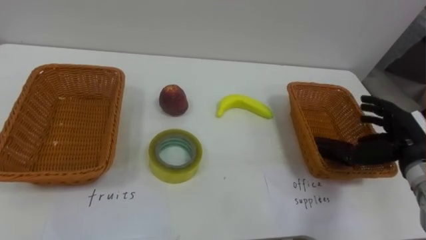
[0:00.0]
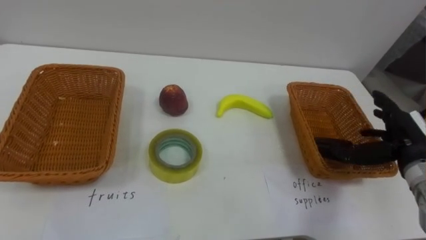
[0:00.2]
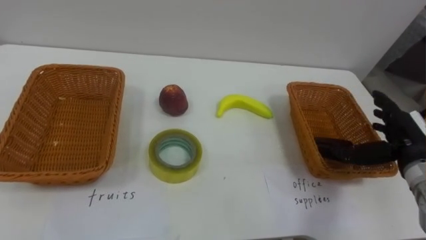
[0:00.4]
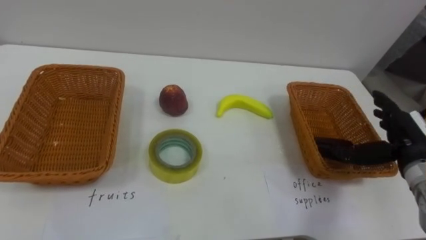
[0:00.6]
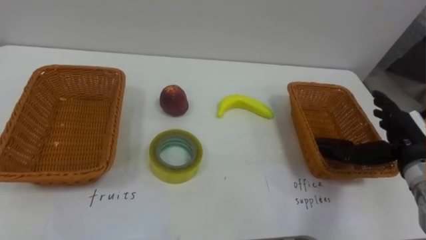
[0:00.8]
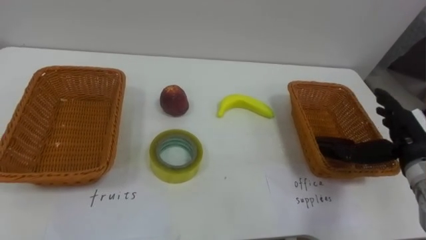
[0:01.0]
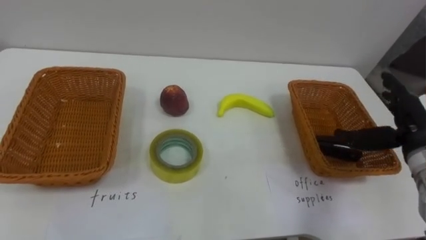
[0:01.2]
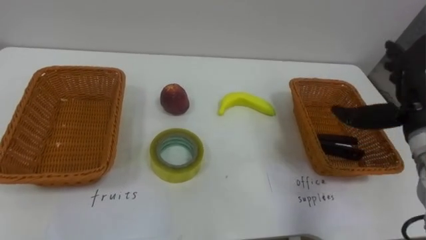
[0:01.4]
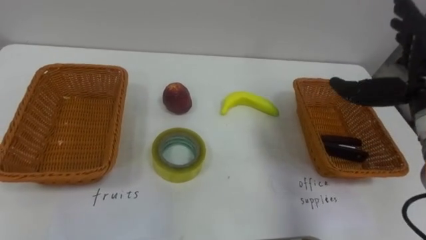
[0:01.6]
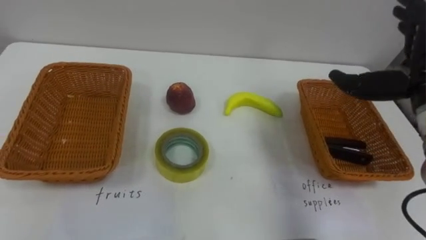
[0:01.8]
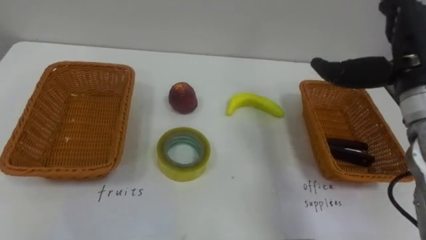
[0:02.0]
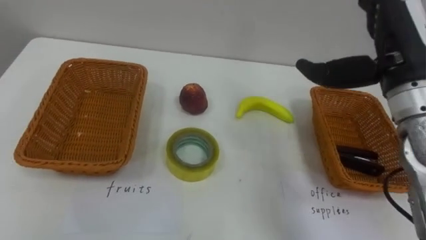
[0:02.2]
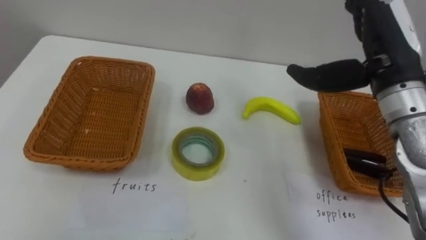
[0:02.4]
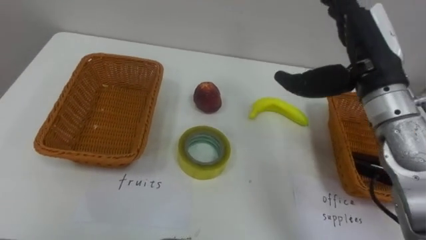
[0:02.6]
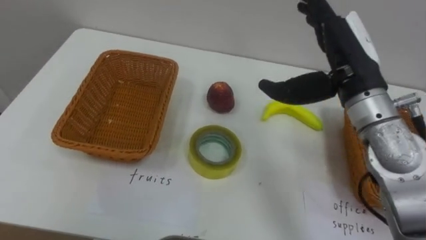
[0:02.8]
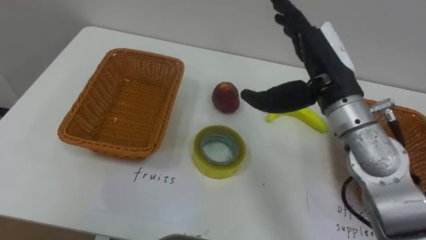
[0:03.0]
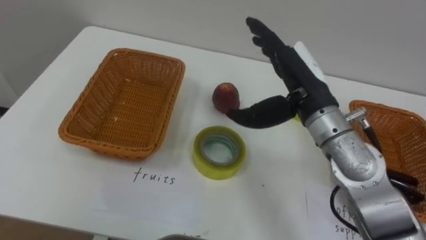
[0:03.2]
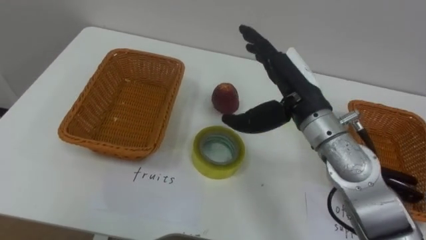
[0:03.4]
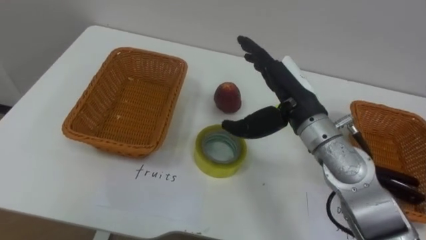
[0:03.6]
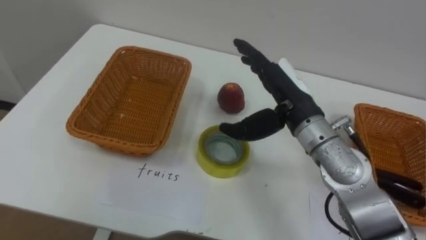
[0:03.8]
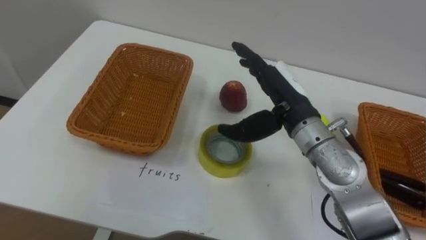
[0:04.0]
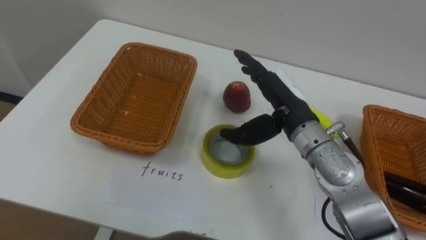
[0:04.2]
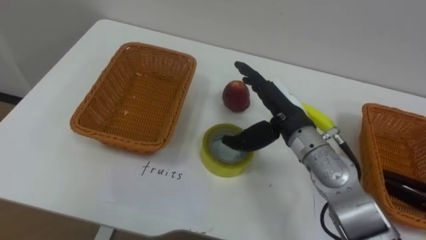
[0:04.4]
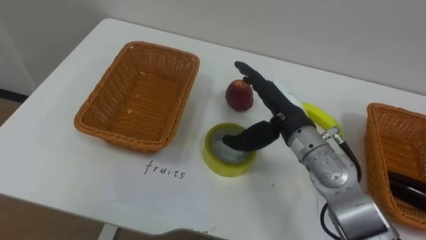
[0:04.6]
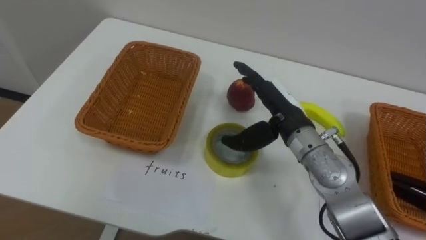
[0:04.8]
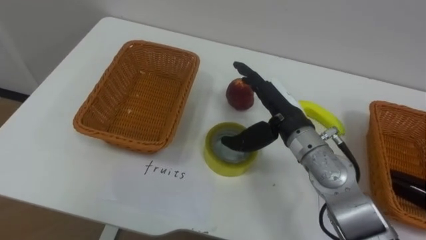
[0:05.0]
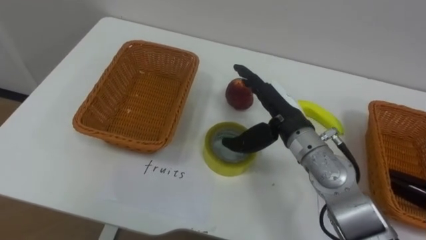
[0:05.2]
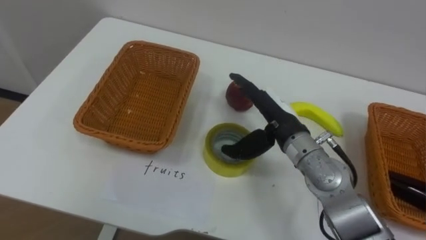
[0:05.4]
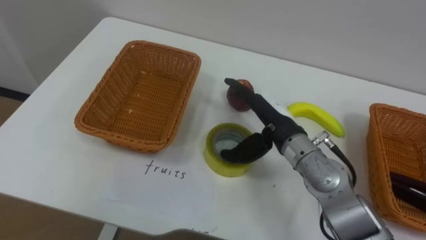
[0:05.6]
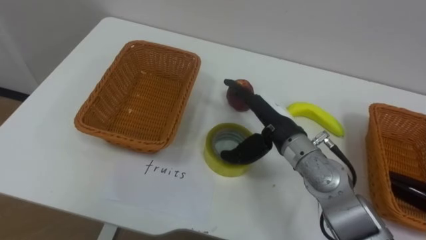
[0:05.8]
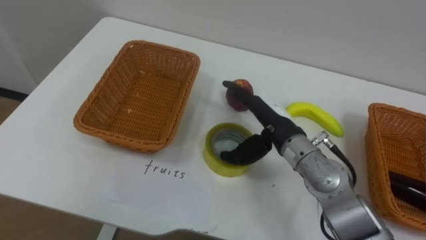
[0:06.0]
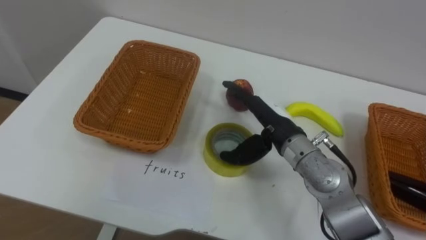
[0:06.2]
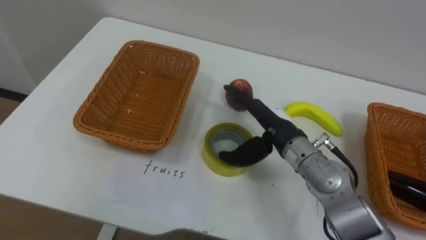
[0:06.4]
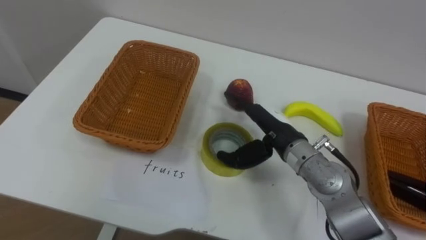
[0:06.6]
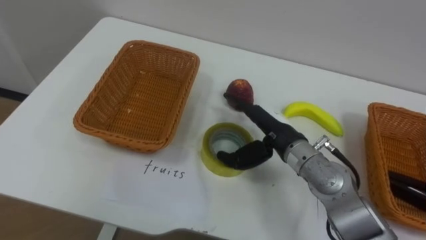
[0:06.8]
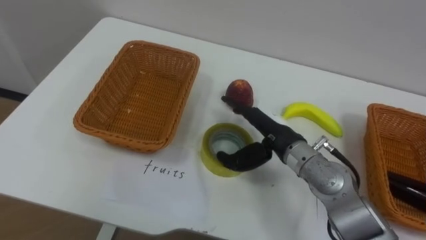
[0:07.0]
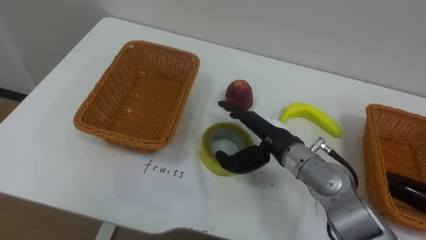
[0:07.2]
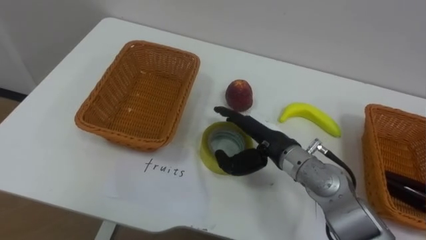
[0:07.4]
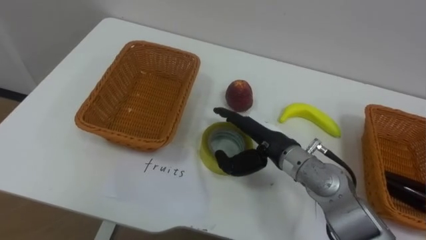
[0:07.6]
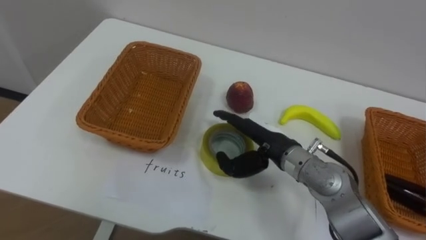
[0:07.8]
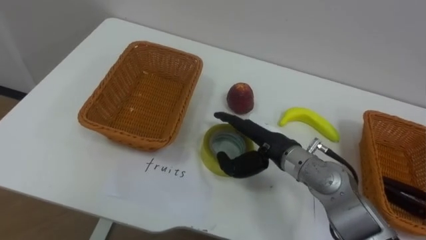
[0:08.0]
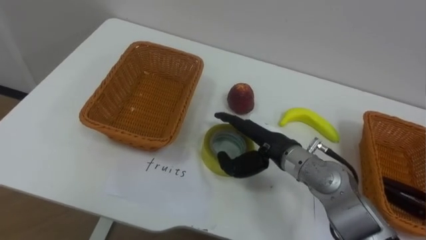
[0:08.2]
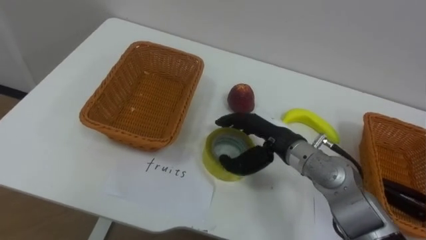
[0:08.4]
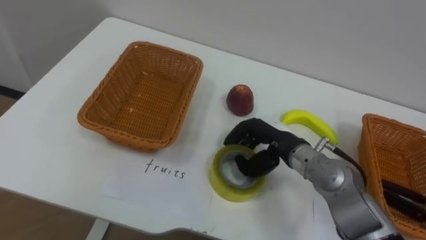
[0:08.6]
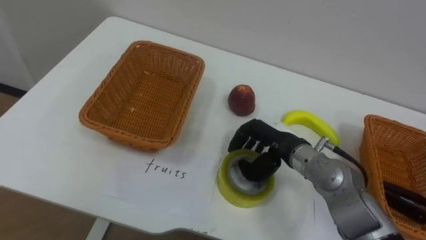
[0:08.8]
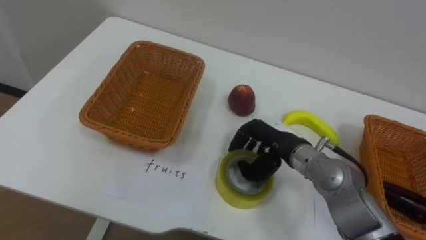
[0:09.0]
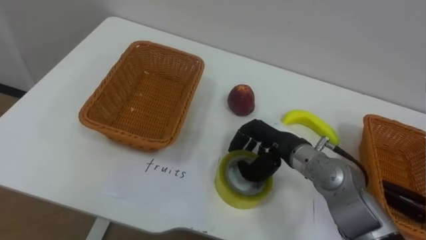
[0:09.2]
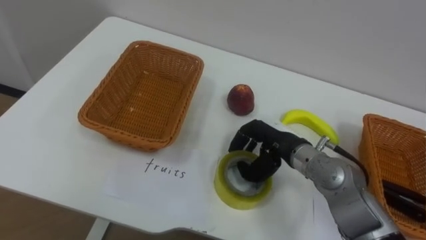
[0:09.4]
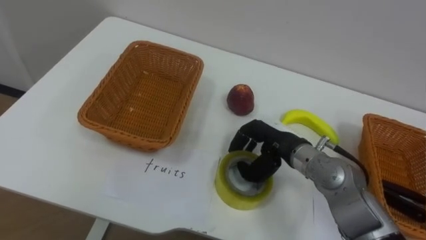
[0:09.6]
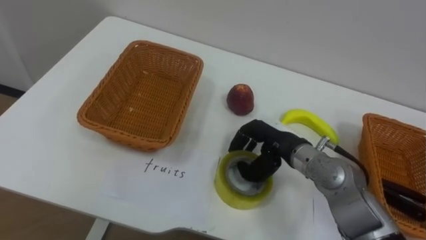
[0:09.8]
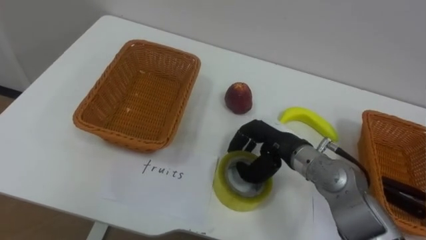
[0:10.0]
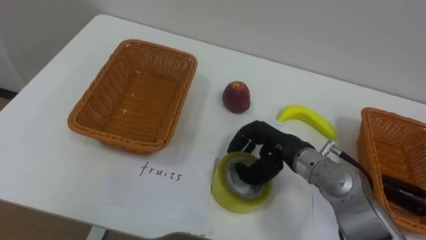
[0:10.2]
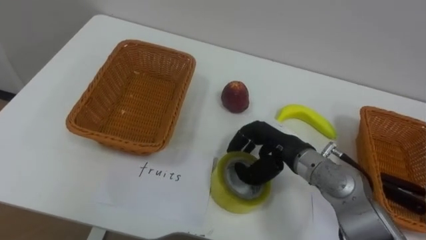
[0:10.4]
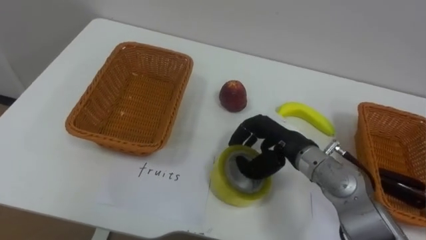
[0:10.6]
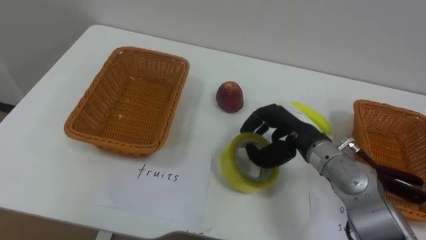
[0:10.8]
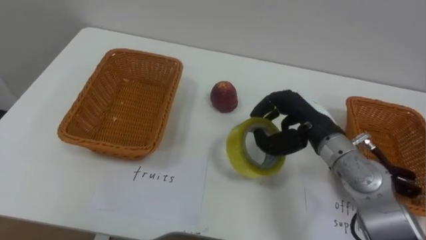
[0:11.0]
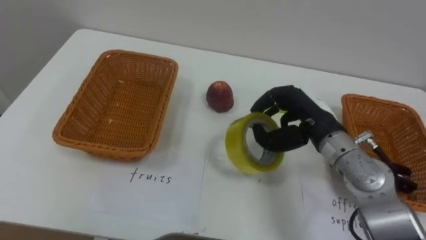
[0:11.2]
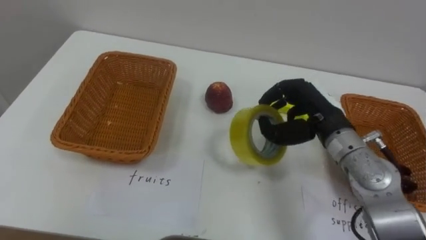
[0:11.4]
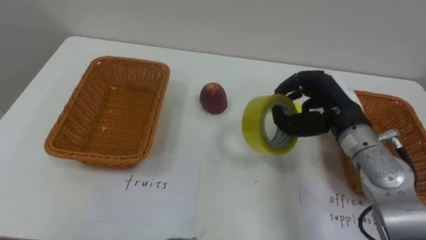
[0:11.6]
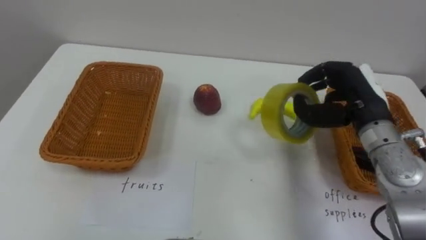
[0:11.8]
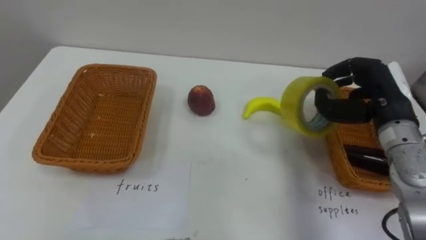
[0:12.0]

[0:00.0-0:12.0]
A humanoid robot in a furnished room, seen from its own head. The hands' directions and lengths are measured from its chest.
Task of the whole recording: Separate the items on the table and place them into the two baskets.
0:00.0 to 0:01.6: The right hand travels upward by about 10 cm.
0:01.6 to 0:03.0: The right hand shifts about 15 cm to the left.
0:03.0 to 0:04.4: The right hand travels downward by roughly 10 cm.
0:07.6 to 0:09.0: The right hand closes up.
0:10.4 to 0:12.0: The right hand is displaced to the right and upward by roughly 15 cm.

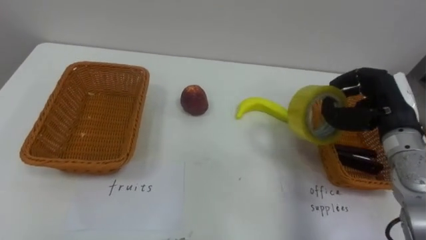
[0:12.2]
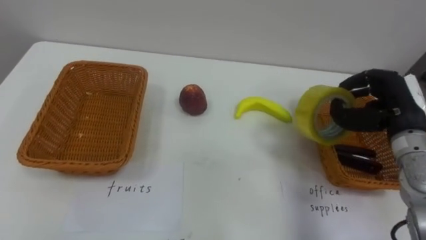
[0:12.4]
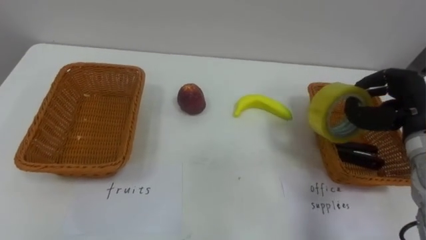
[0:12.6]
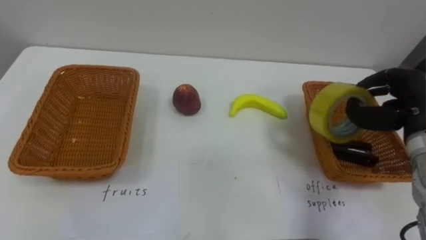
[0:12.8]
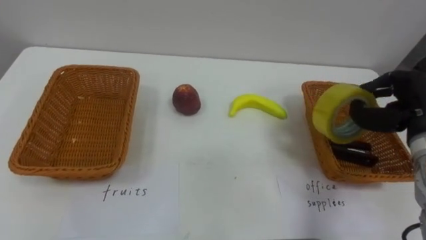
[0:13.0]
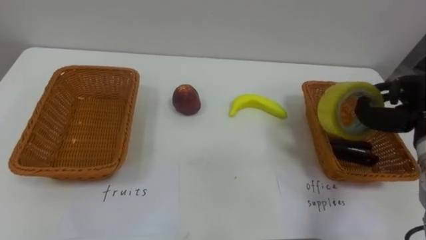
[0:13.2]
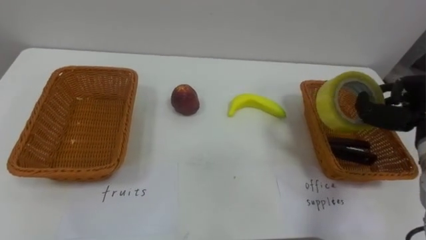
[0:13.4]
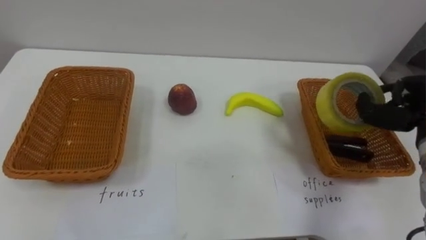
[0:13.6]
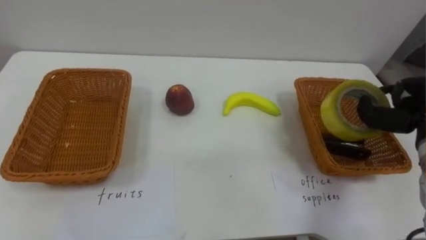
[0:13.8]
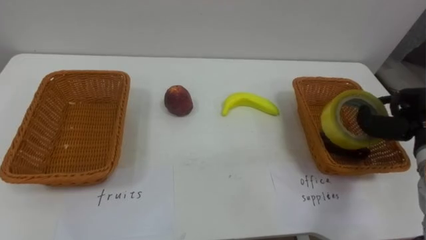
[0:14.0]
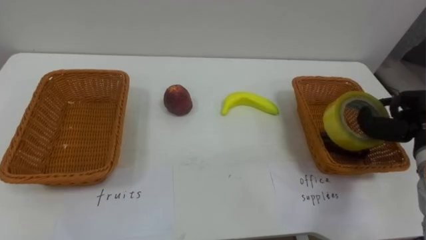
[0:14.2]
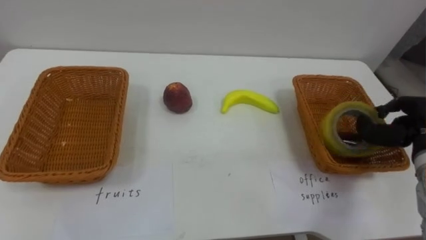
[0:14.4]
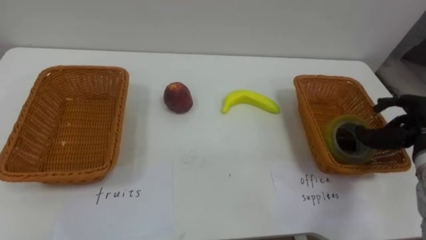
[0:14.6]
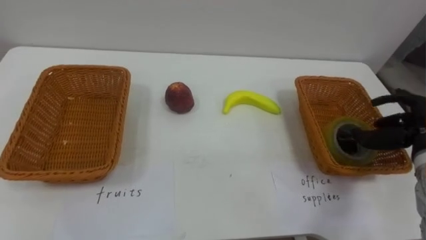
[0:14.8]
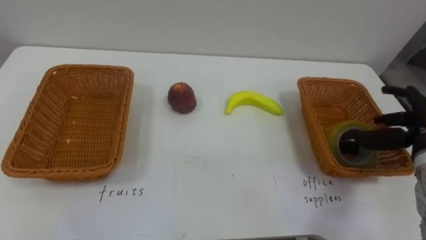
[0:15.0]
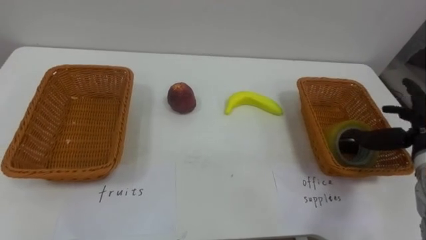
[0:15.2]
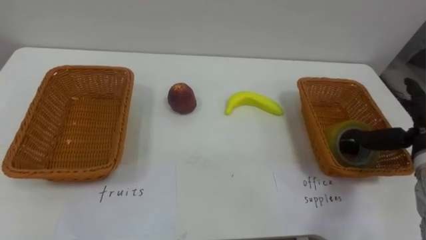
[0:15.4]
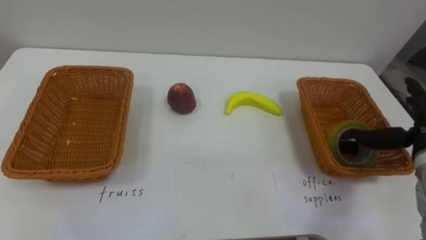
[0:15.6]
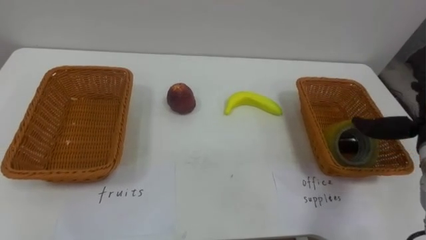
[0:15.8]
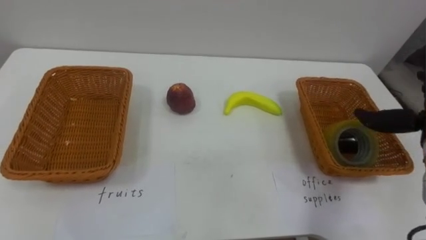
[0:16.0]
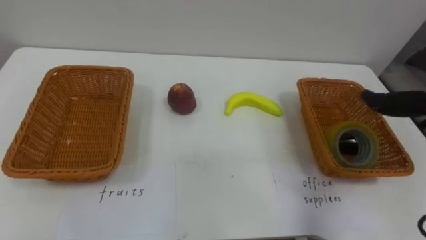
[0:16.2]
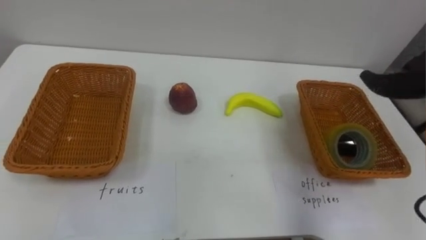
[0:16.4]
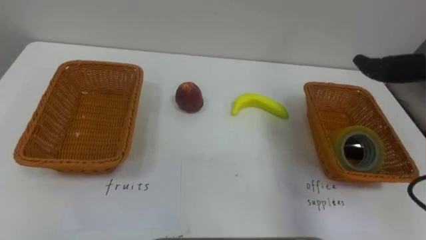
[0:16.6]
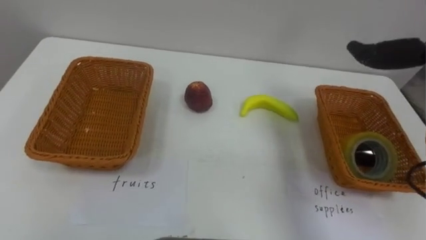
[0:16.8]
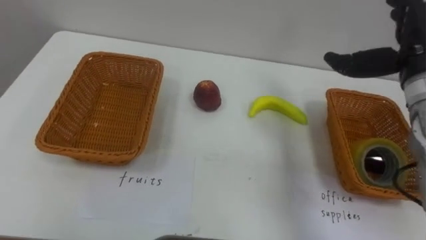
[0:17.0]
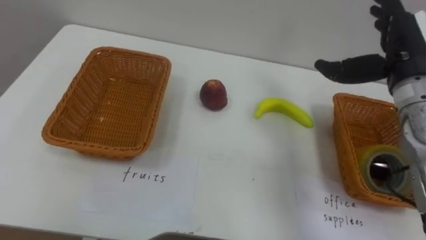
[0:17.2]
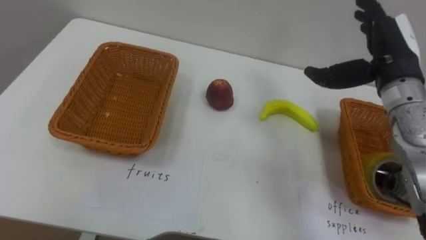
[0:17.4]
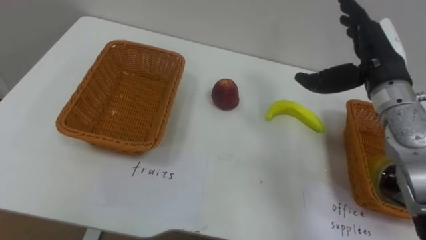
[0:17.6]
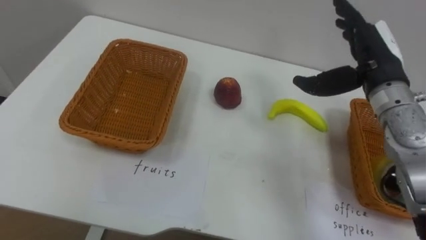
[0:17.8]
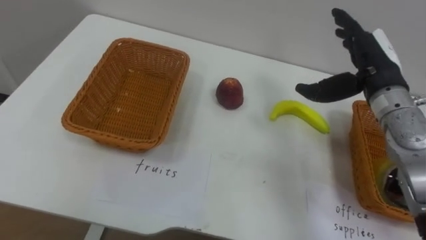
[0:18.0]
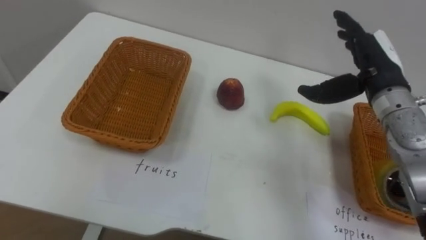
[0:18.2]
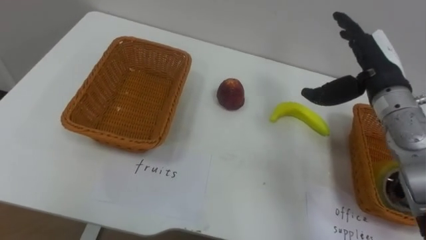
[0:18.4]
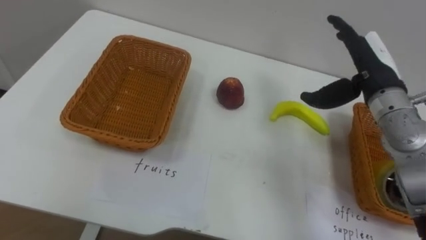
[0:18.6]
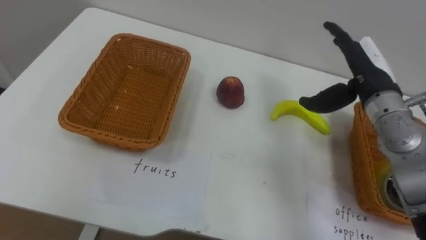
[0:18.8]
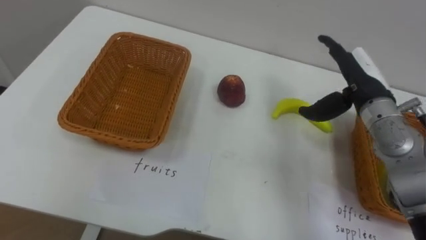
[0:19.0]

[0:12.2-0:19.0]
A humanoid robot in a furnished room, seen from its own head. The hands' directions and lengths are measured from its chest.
Task of the whole recording: Separate the items on the table and place them into the two baskets.
0:17.6 to 0:19.0: The right hand heads downward, covering approximately 5 cm.
